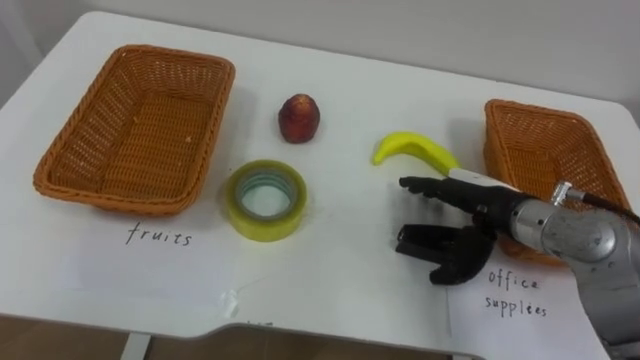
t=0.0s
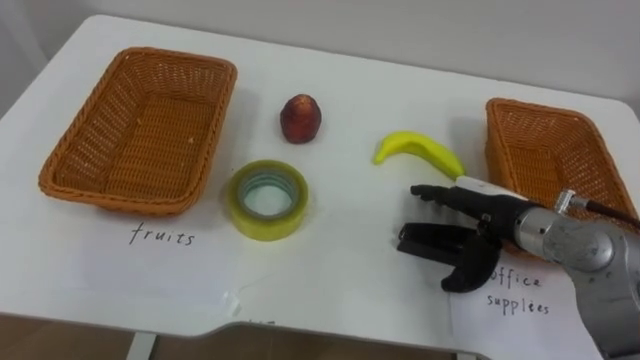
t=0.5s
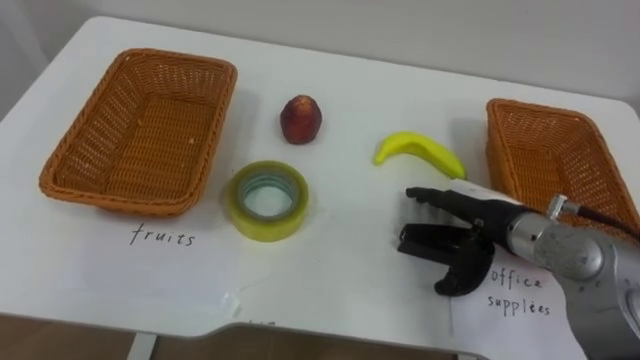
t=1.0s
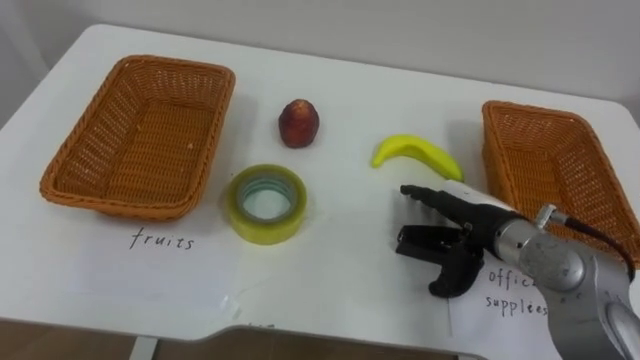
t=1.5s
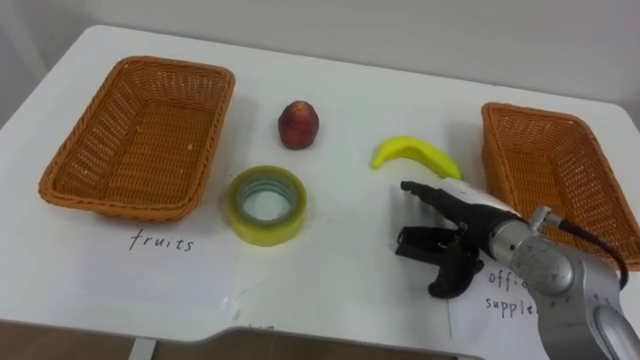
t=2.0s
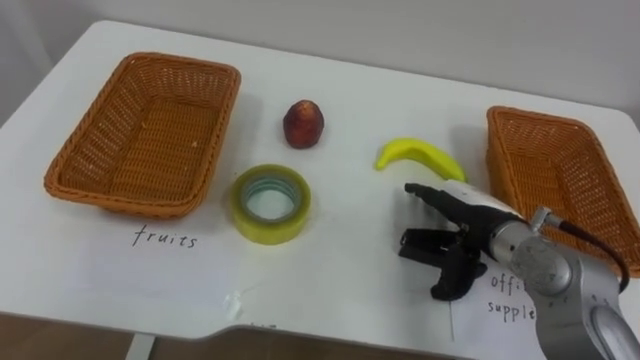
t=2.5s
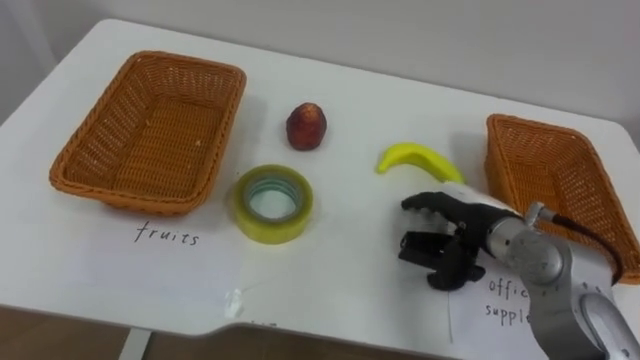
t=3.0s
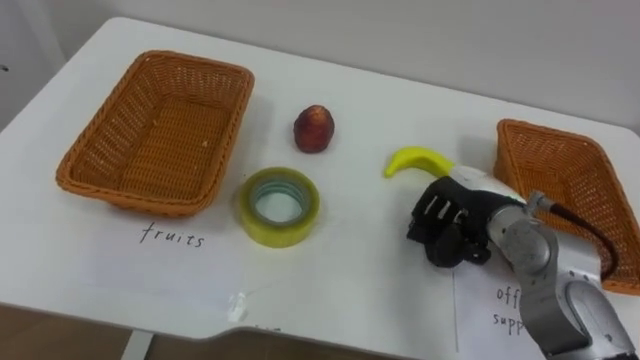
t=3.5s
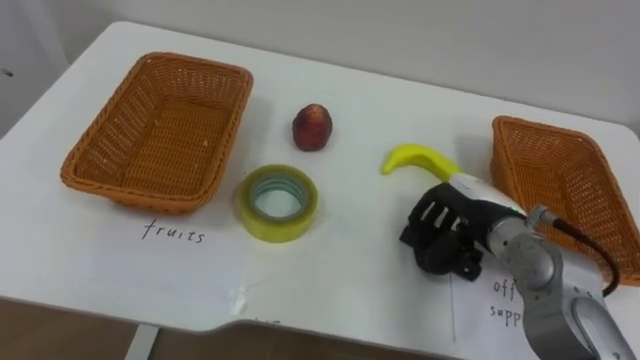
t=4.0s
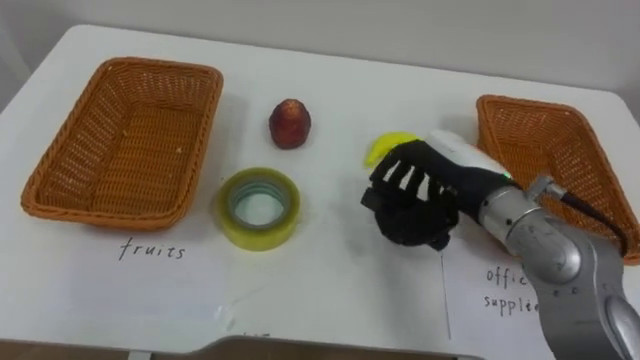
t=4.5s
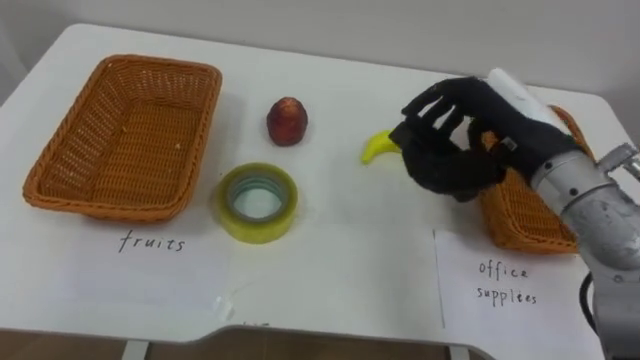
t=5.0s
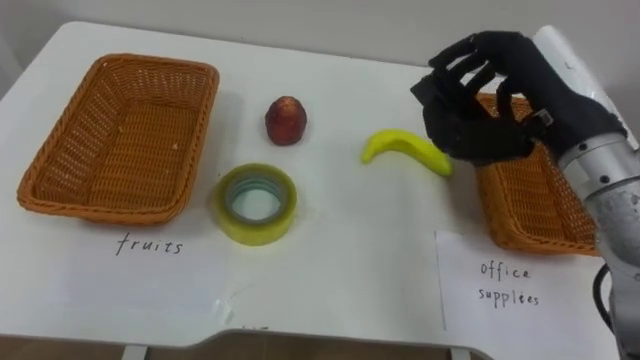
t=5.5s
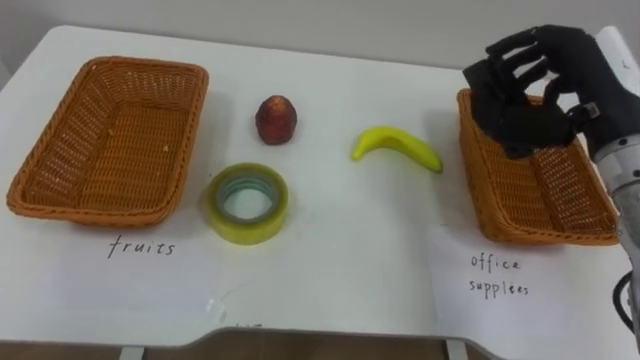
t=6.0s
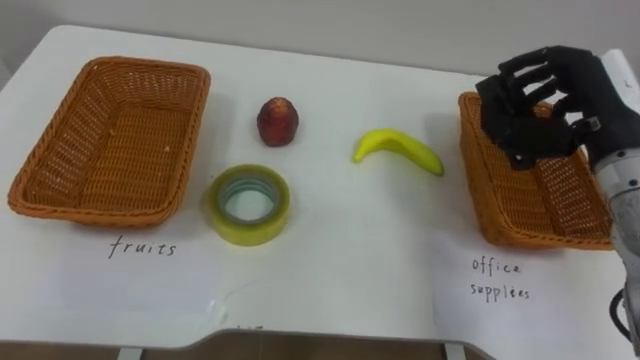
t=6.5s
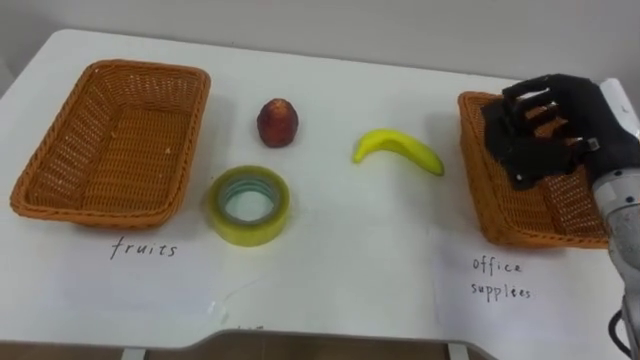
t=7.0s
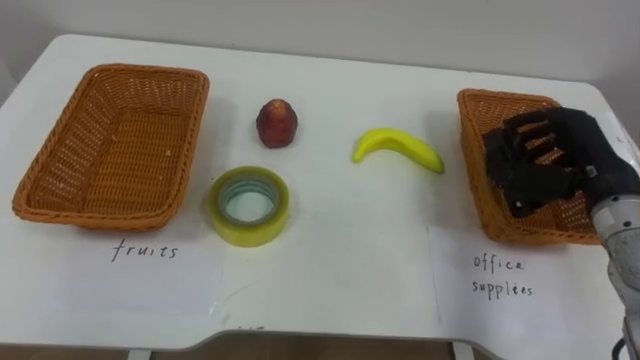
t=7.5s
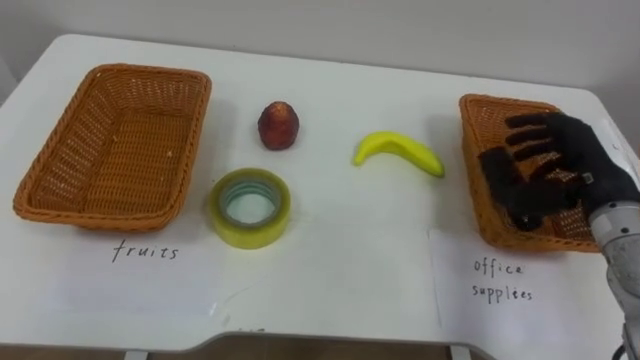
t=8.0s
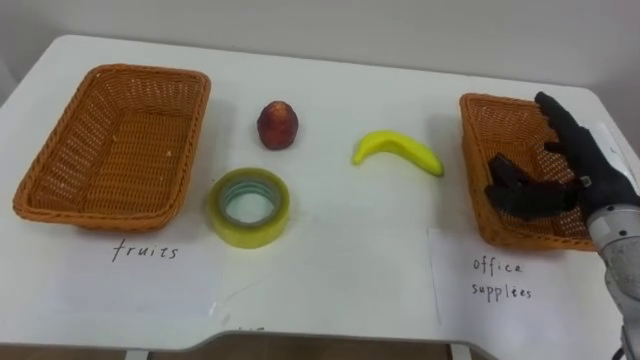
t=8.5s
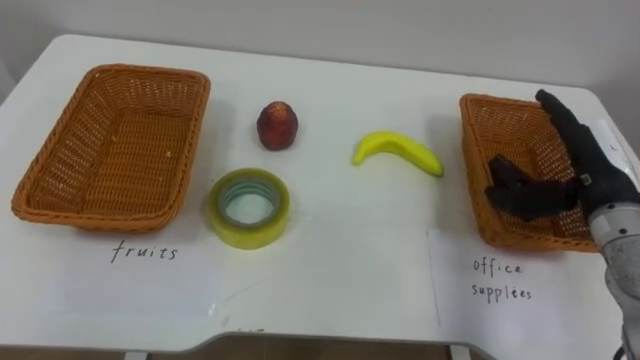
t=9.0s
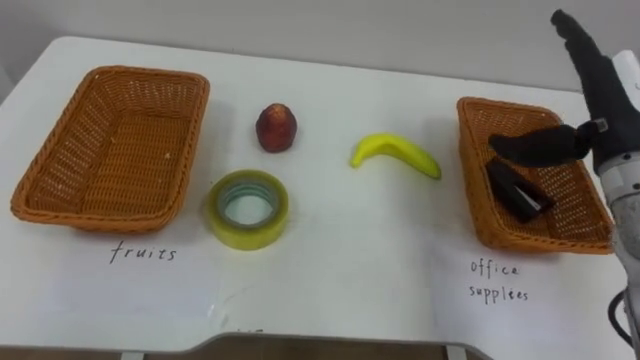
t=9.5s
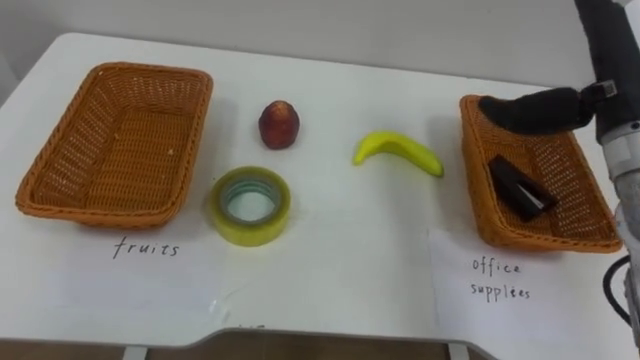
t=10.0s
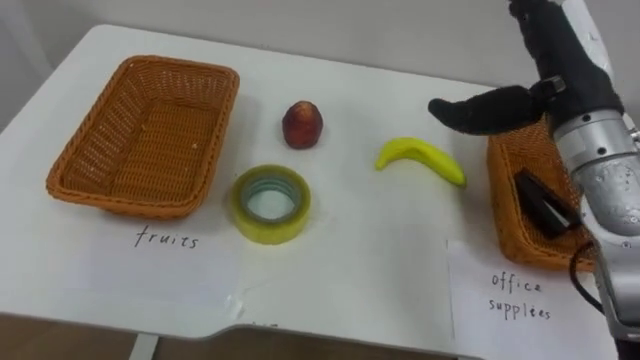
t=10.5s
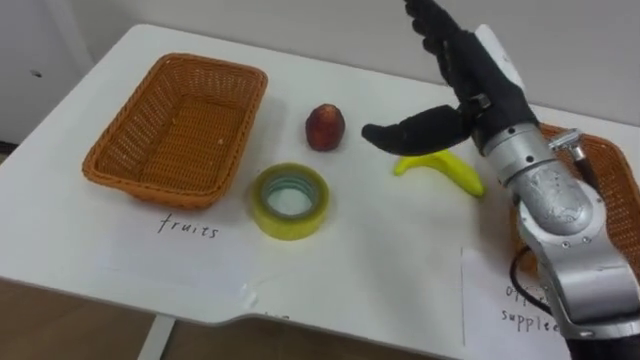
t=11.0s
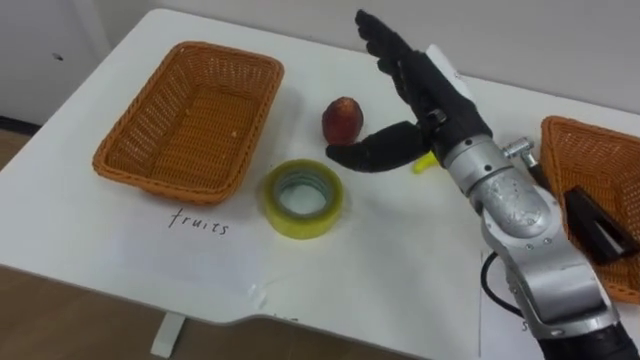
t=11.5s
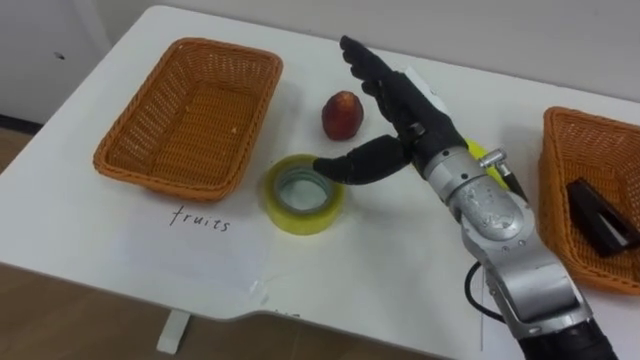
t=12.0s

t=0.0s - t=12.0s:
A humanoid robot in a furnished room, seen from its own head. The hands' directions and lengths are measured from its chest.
Task of the whole recording: Separate the items on the table and place them into the two baskets.
t=2.0s - t=4.0s: The right hand closes.
t=4.0s - t=6.0s: The right hand shifts roughly 20 cm upward and to the right.
t=6.0s - t=8.0s: The right hand moves downward, about 10 cm.
t=8.0s - t=10.0s: The right hand shifts roughly 10 cm upward, and opens.
t=10.0s - t=12.0s: The right hand moves to the left and downward, approximately 20 cm.

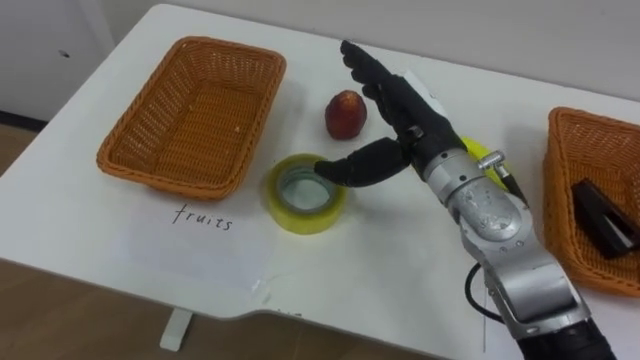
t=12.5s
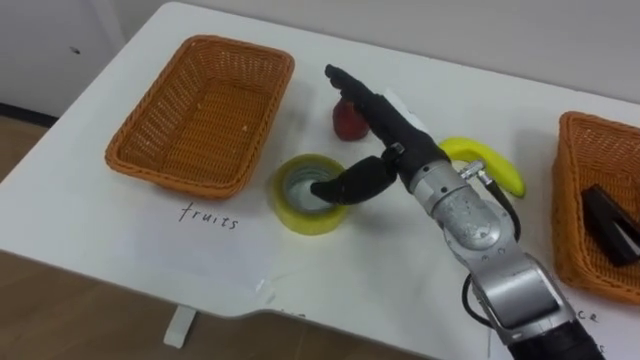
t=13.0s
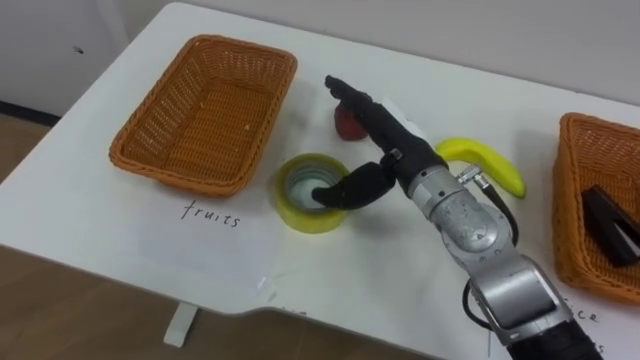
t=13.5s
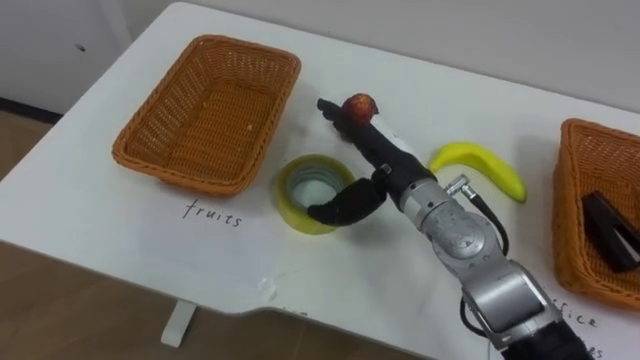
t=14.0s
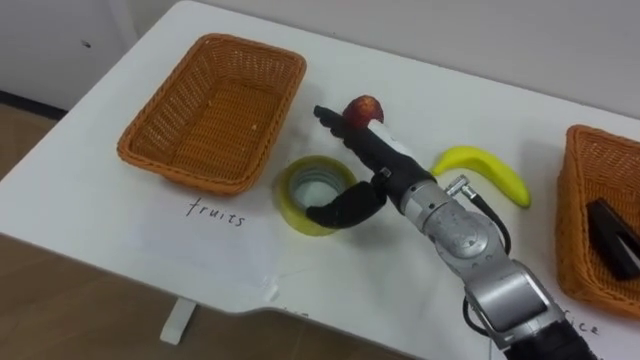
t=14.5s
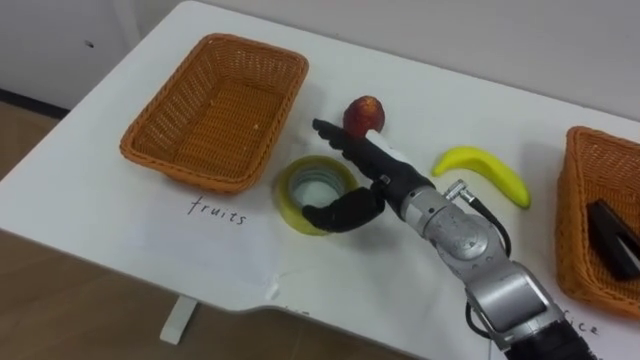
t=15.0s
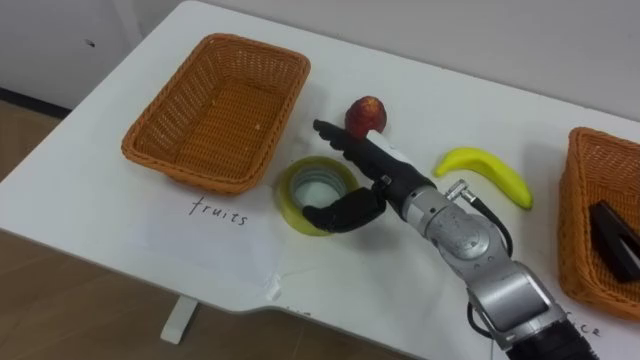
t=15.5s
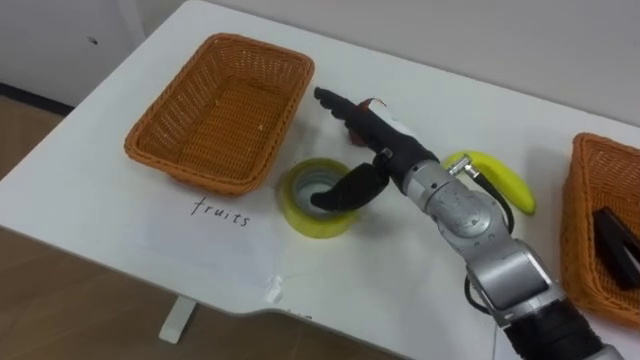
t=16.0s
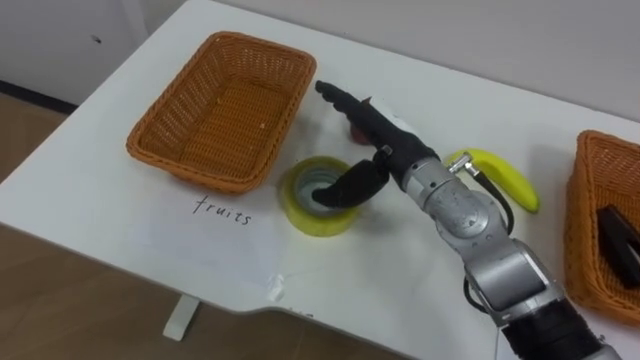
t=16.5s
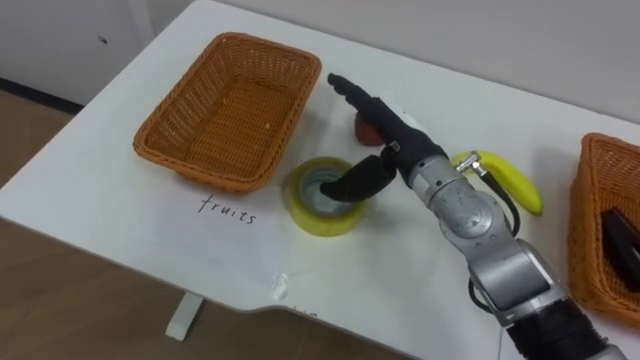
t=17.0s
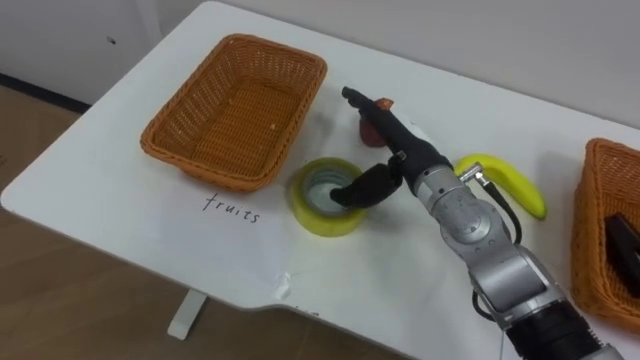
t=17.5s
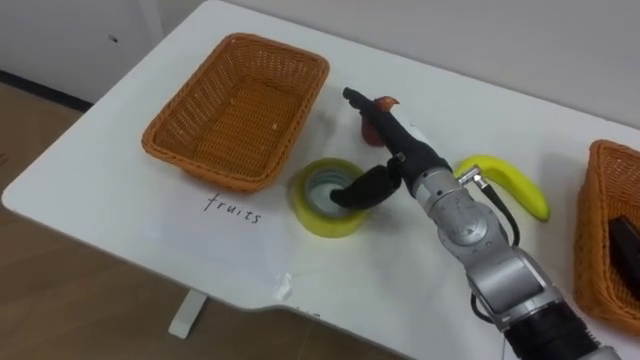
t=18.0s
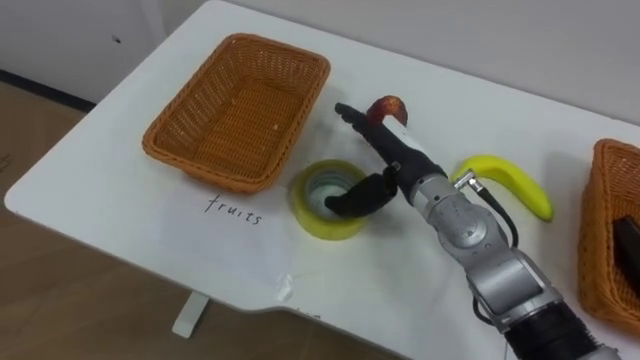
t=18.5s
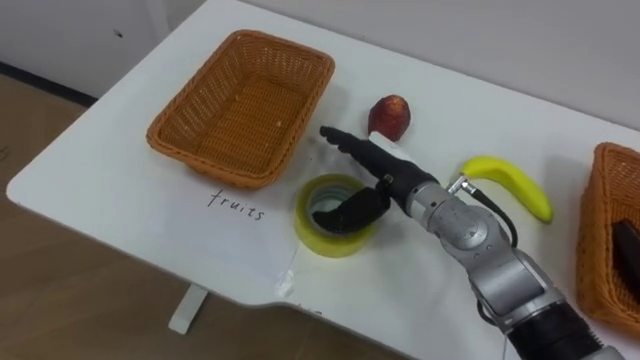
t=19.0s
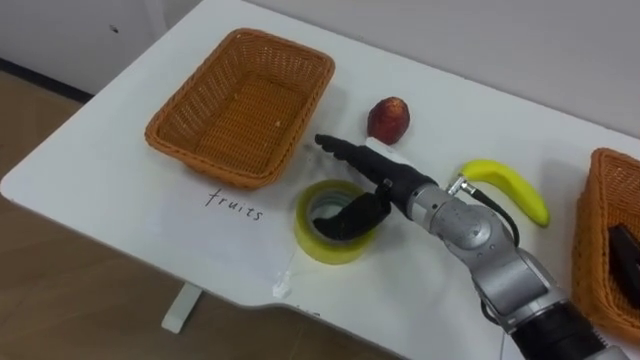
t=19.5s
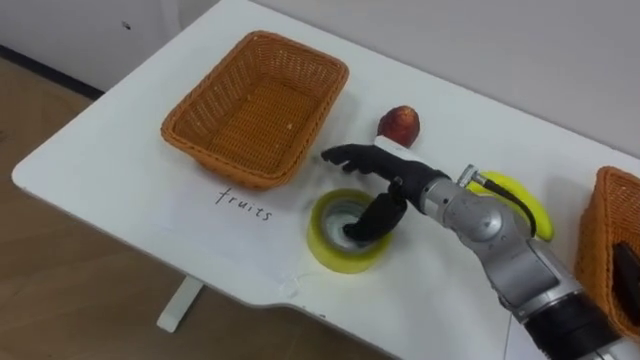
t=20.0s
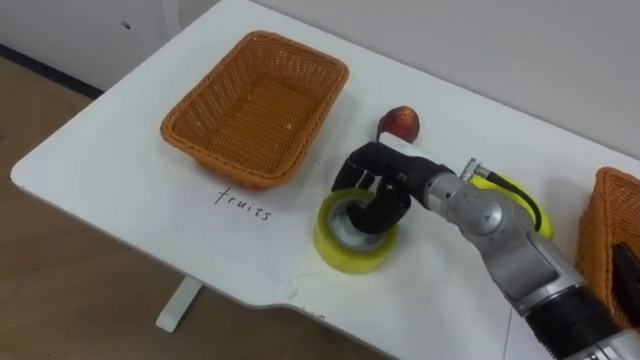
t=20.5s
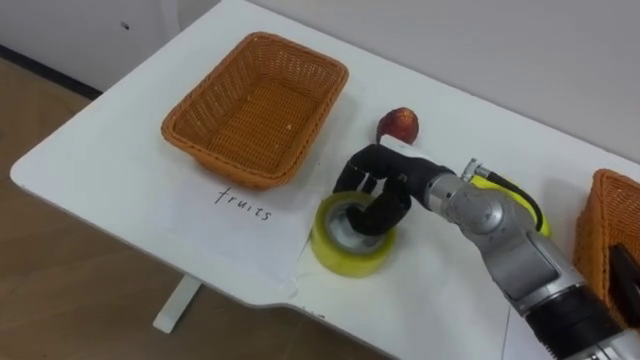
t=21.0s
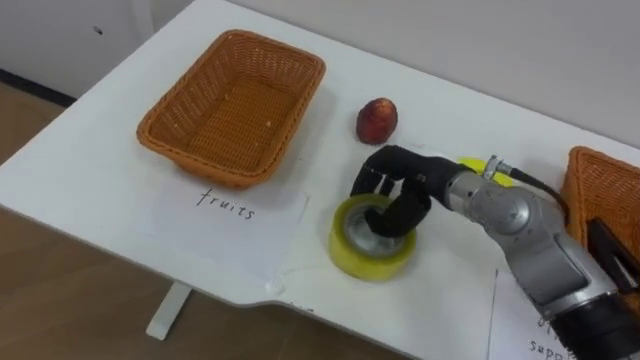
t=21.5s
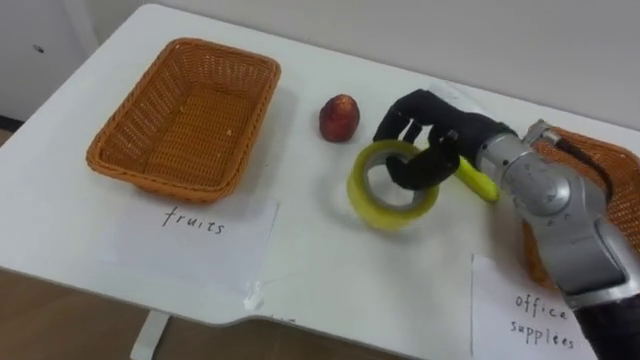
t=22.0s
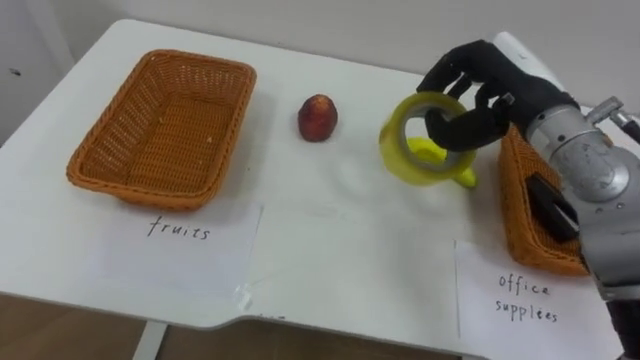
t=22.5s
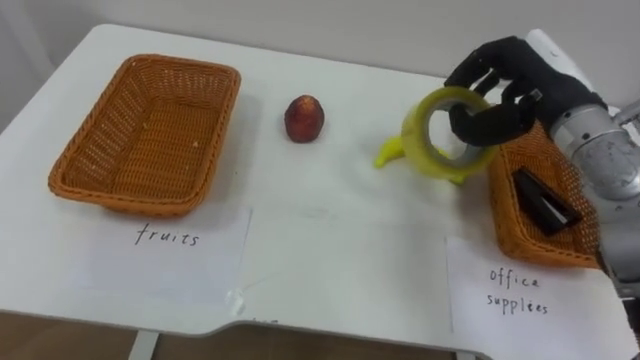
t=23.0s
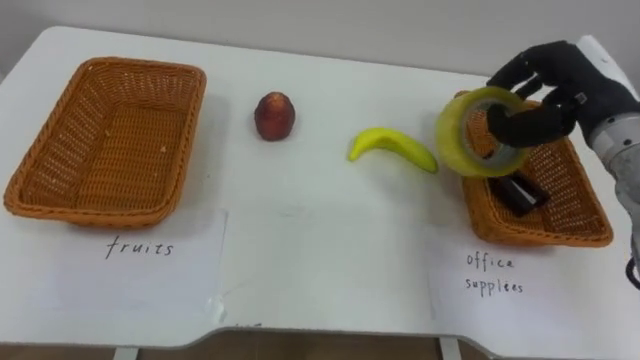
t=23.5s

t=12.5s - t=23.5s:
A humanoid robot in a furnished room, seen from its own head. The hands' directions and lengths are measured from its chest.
Task of the whole recording: Separate the items on the table and place them into the two baskets.
t=12.5s - t=14.5s: The right hand shifts approximately 5 cm downward.
t=20.0s - t=21.5s: The right hand closes its fingers.
t=21.5s - t=23.5s: The right hand shifts roughly 20 cm to the right and upward.
